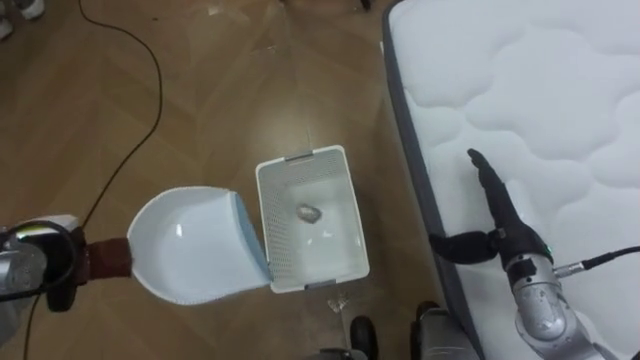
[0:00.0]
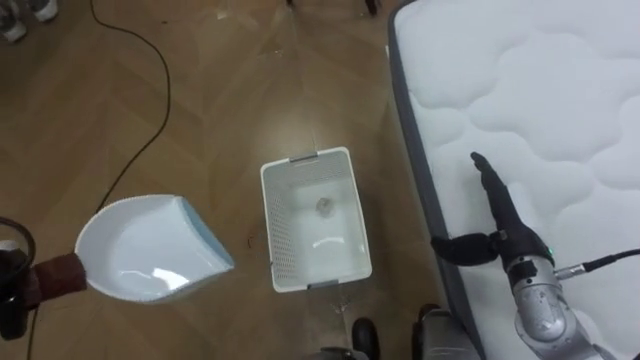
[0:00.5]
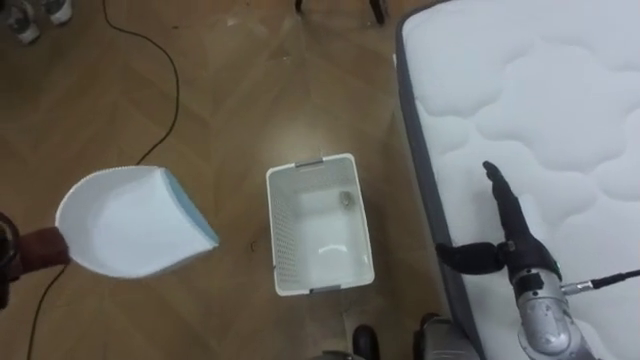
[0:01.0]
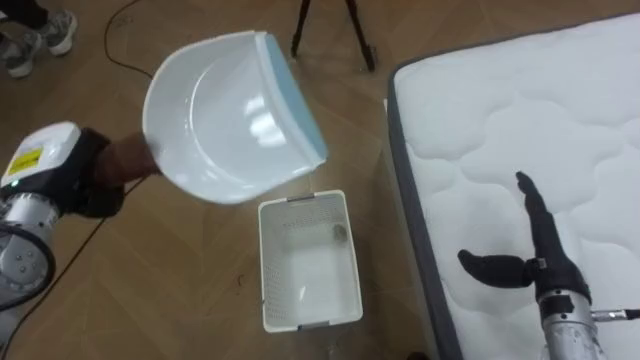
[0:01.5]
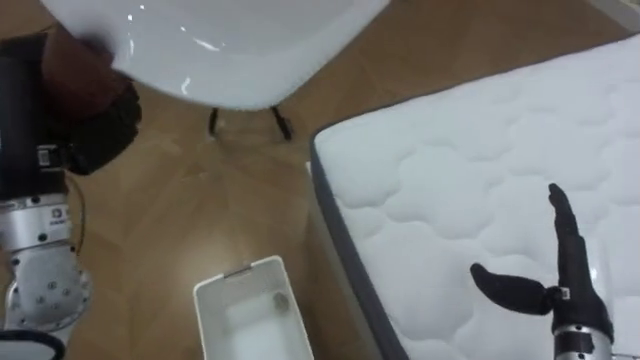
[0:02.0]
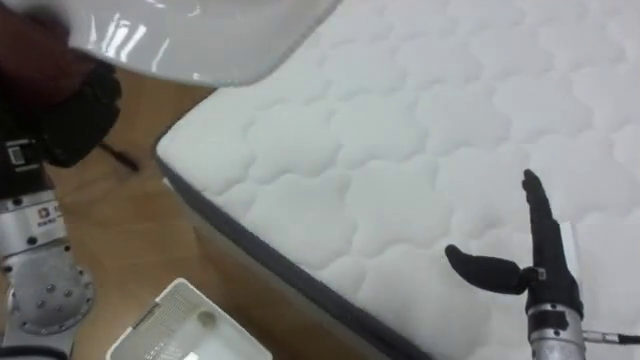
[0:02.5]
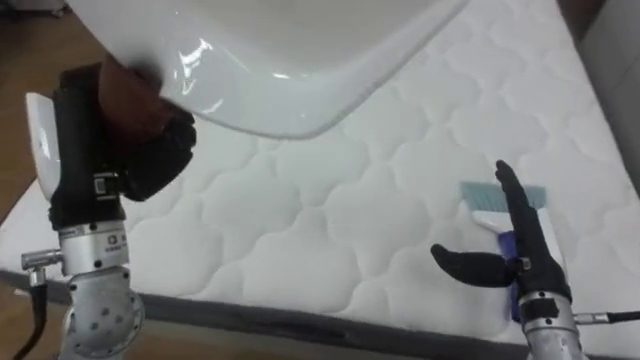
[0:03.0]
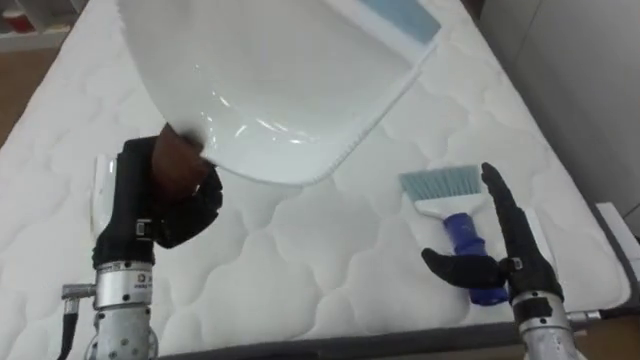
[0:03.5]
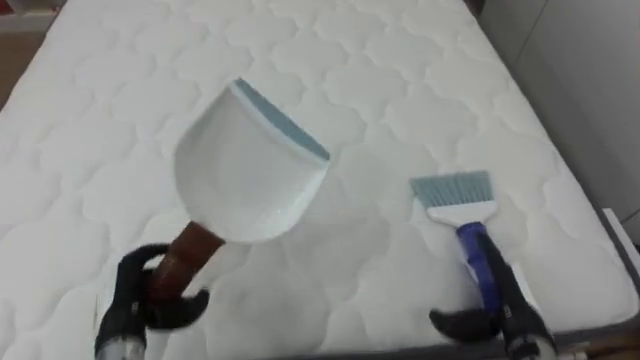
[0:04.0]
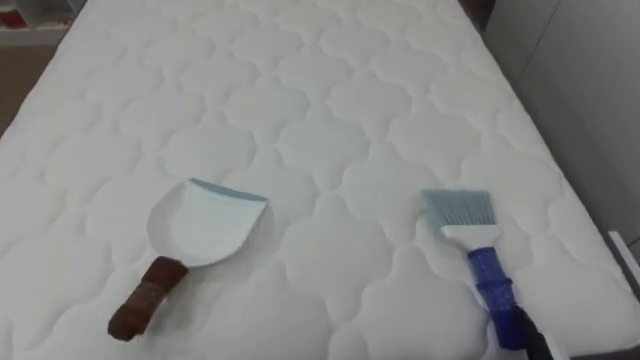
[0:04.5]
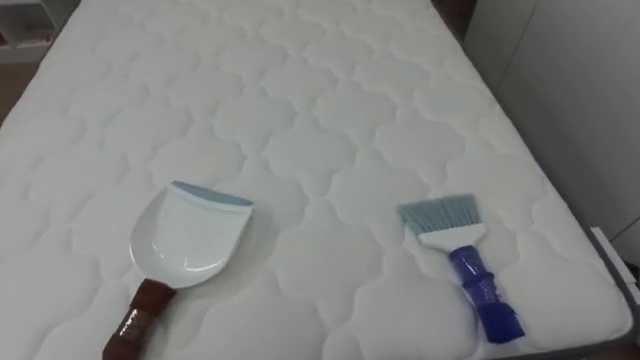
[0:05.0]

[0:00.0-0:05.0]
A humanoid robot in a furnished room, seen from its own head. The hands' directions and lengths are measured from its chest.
Task of the whole recording: Pick up the brush on your right and the dustpan on your left. Use the brush to sweep the crumpled paper on the bed into the dustpan, then turn left and empty it into the basket.
0:00.0 to 0:02.5: The robot turns to its right by approximately 60 degrees. The right hand goes roughly 5 cm backward.
0:02.5 to 0:05.0: The robot's body swings roughly 40 degrees to its right.

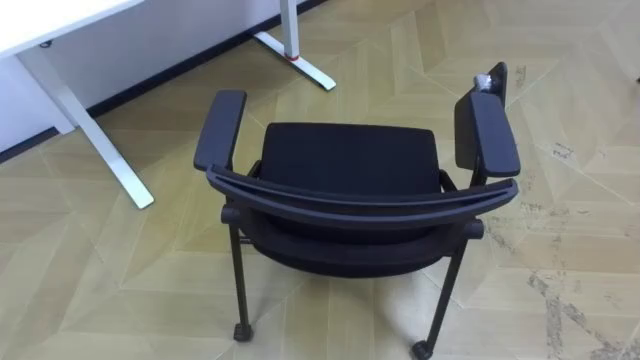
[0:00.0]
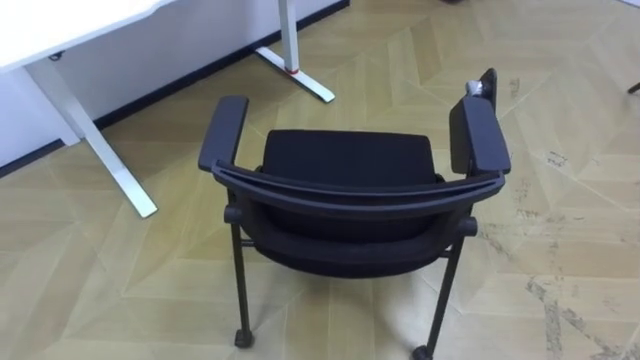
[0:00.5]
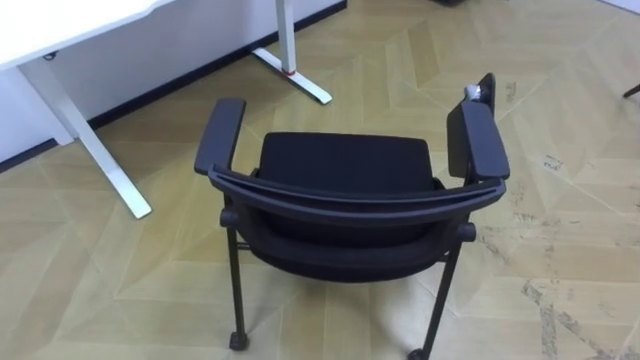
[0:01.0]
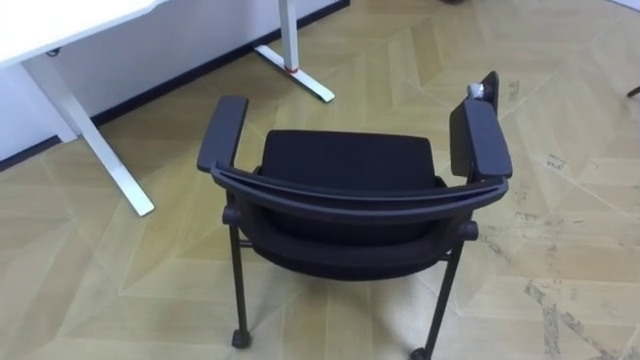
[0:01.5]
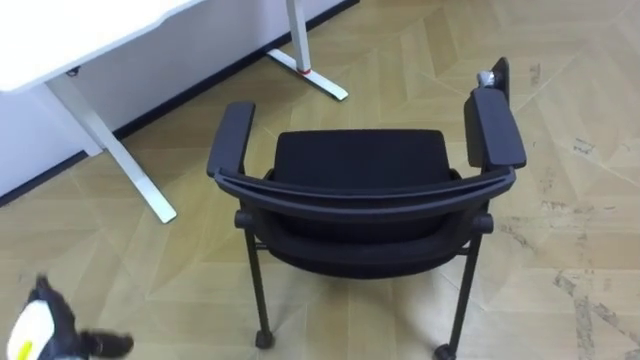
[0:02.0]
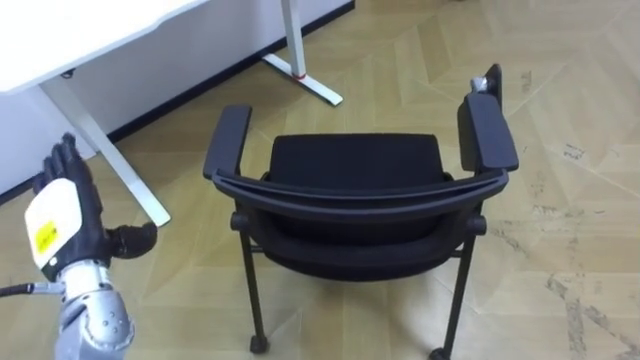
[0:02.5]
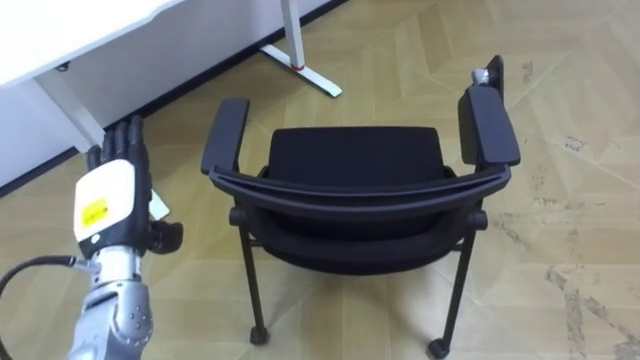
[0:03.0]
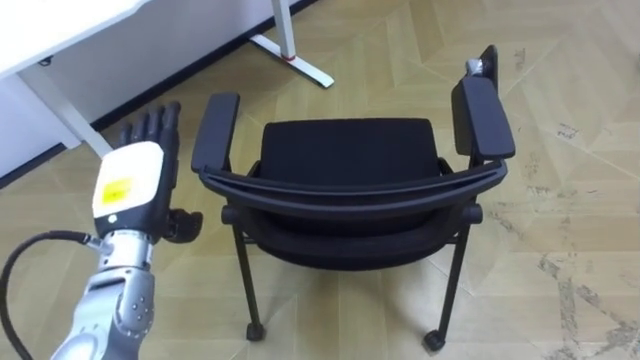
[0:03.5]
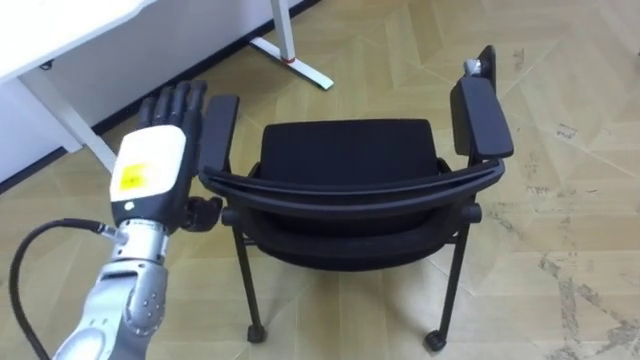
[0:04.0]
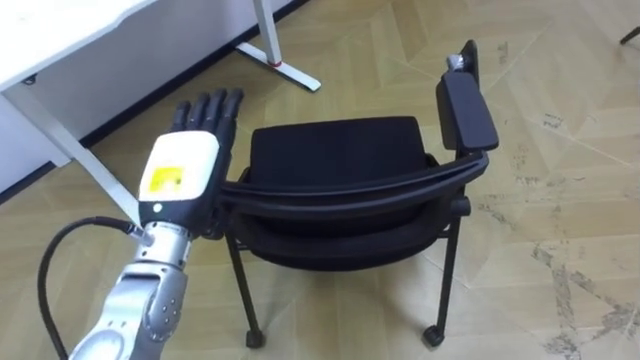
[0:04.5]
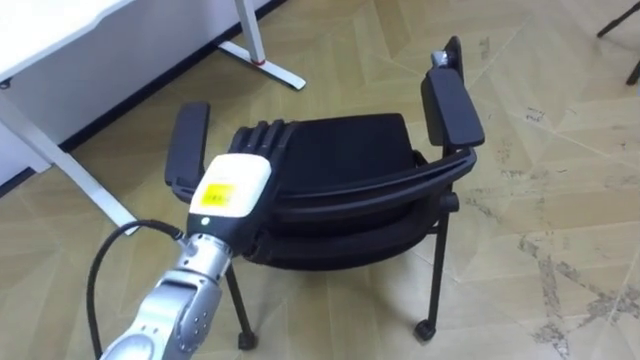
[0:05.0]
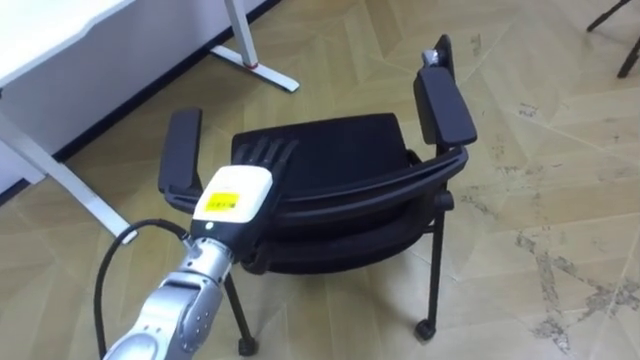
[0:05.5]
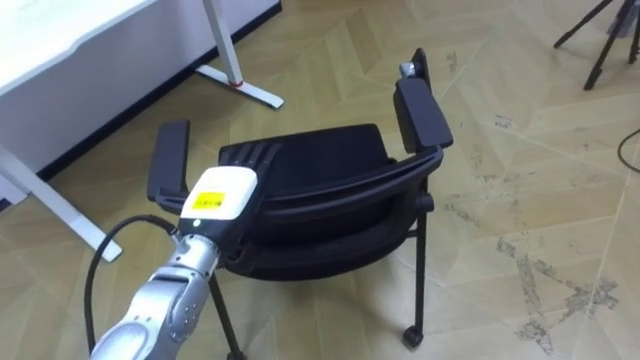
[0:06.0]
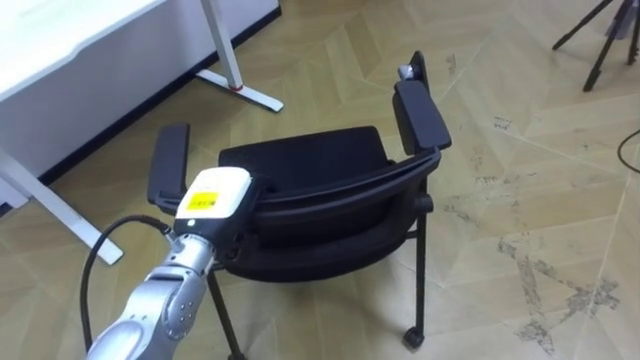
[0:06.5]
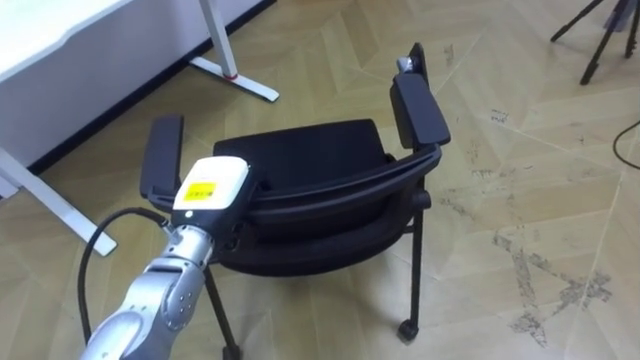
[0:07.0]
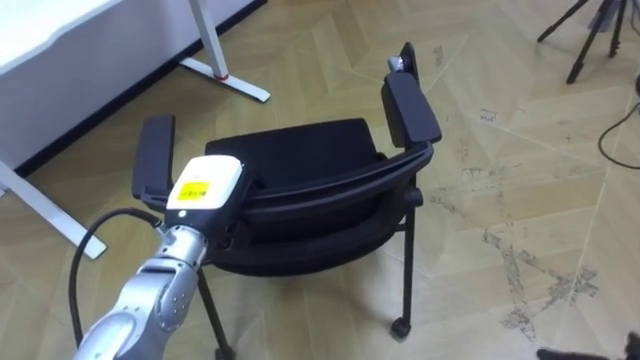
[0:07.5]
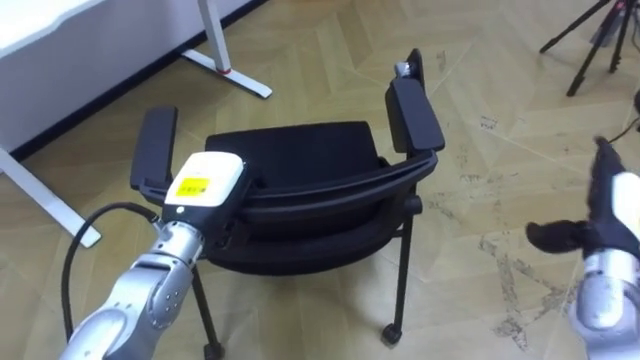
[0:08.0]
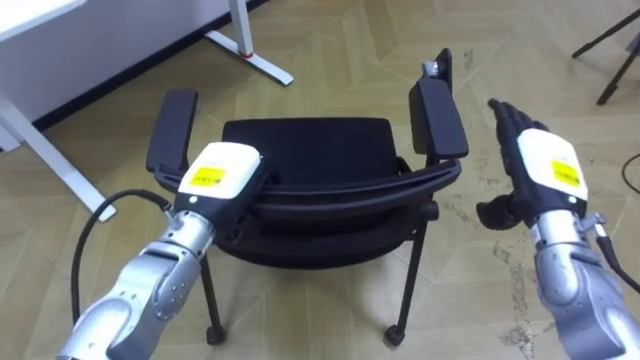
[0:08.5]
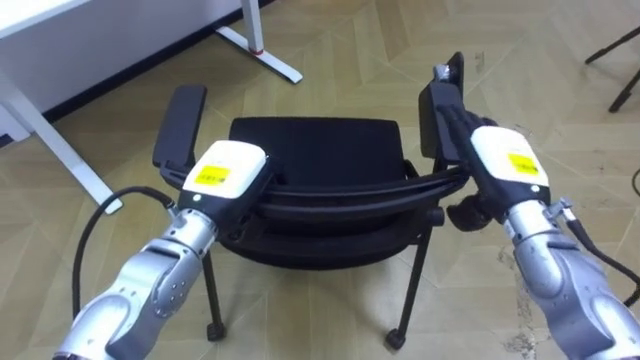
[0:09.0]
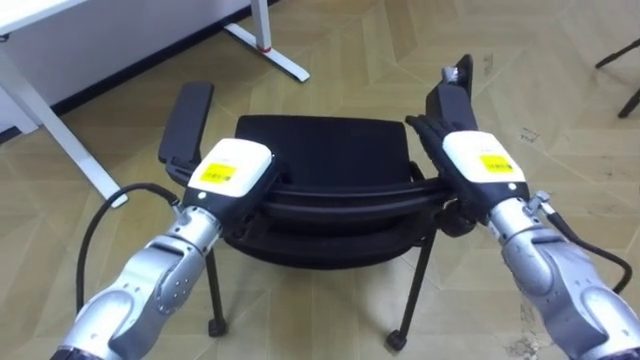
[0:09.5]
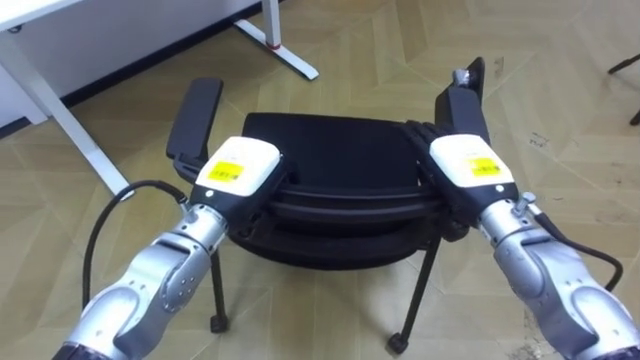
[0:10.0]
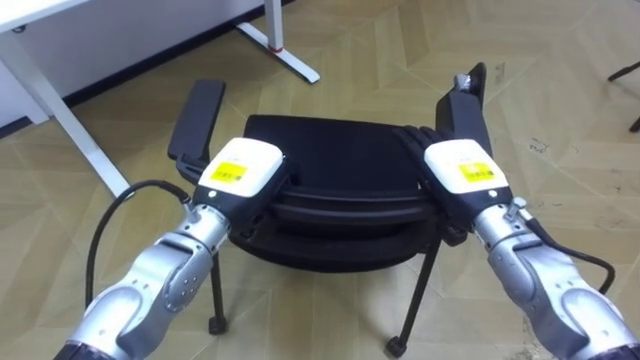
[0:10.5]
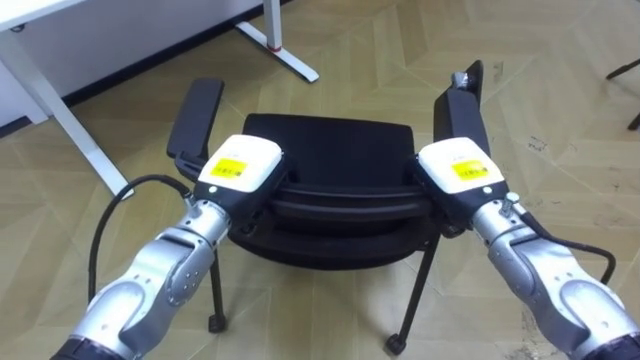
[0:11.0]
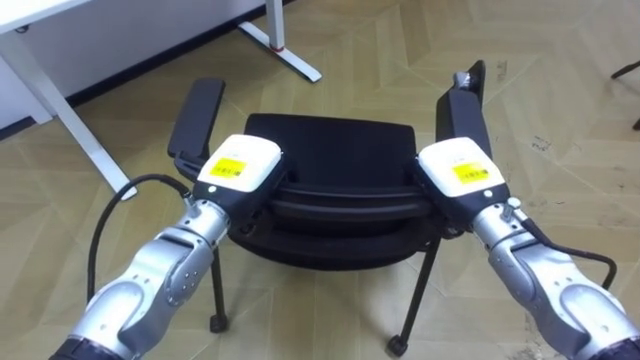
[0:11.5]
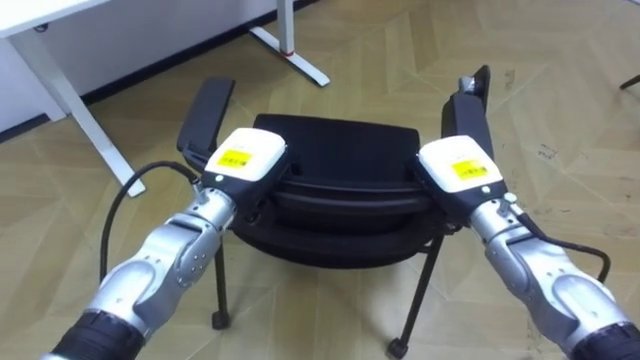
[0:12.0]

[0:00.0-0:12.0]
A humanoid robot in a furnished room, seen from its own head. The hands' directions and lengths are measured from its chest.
Task of the whole recording: Push the chair under the table.
0:02.0 to 0:04.0: The left hand heads upward, to the right and forward, covering roughly 25 cm.
0:04.0 to 0:06.0: The left hand travels downward and to the right by roughly 10 cm.
0:06.0 to 0:08.0: The left hand closes its fingers.
0:08.0 to 0:10.0: The right hand travels to the left by roughly 15 cm.
0:10.0 to 0:12.0: The right hand closes up.

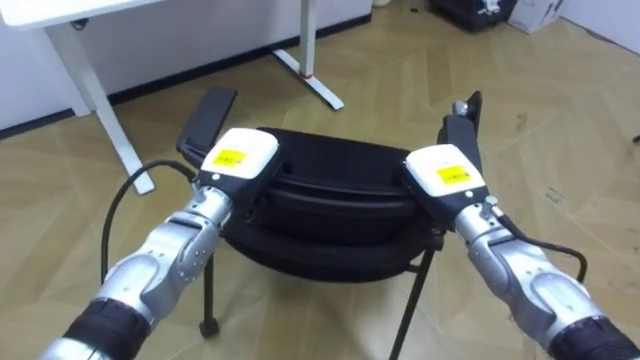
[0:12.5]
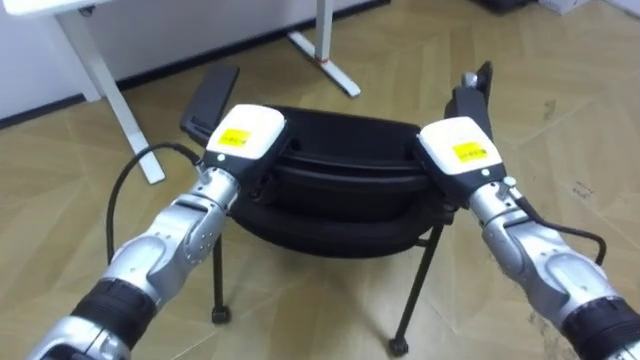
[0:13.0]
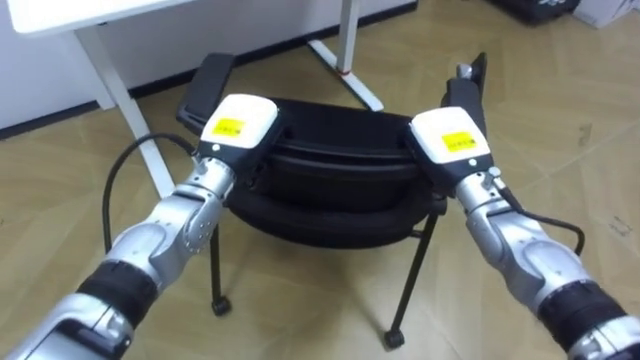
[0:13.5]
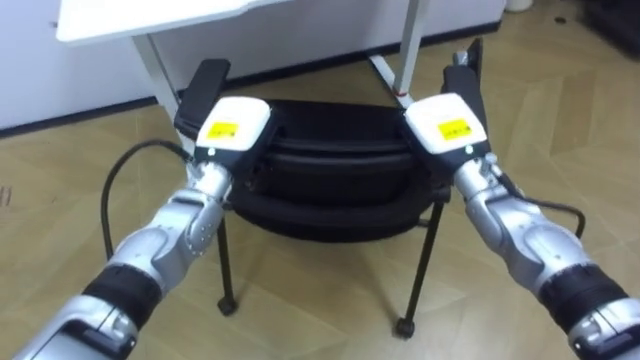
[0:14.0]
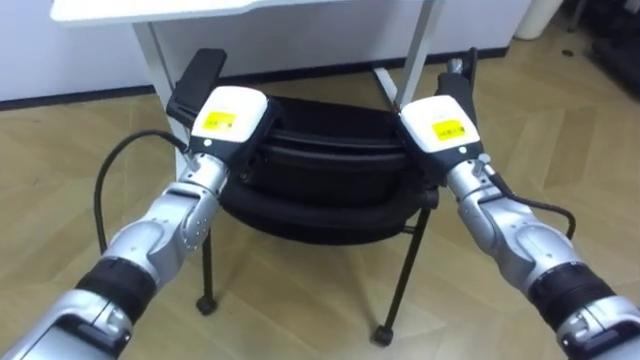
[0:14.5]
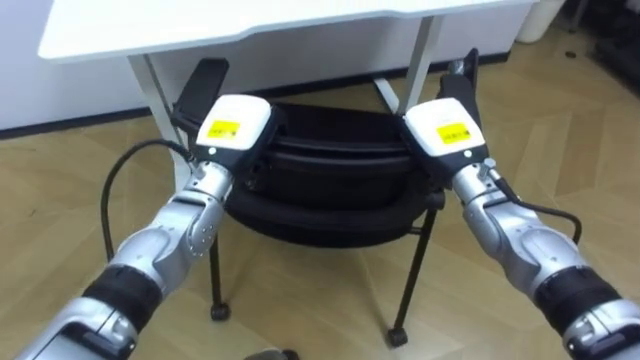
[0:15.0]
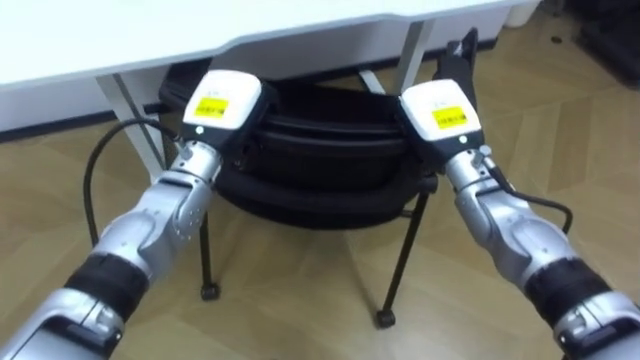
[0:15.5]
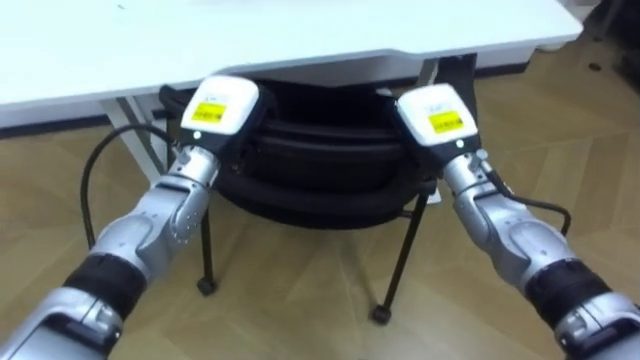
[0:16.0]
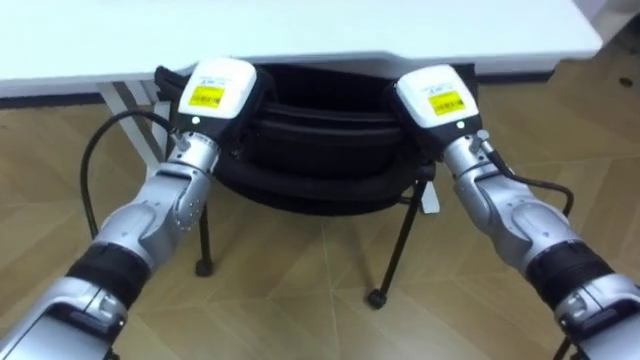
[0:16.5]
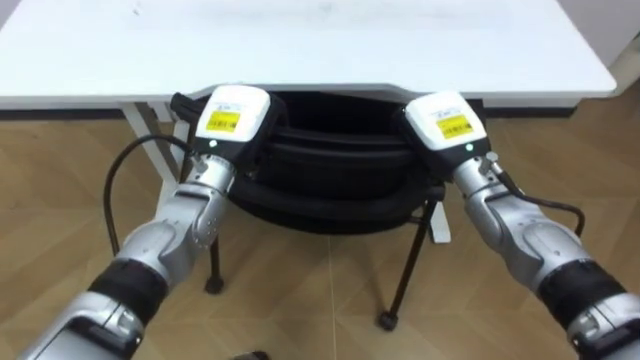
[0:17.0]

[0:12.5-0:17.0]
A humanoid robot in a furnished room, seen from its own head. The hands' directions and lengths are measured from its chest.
Task of the whole recording: Push the chair under the table.
0:12.5 to 0:14.5: The right hand moves some 5 cm.
